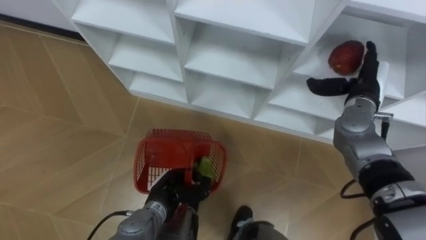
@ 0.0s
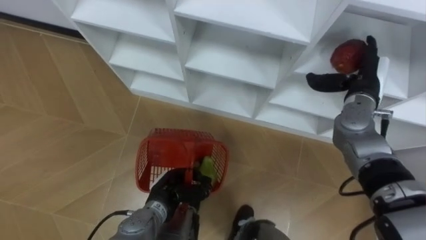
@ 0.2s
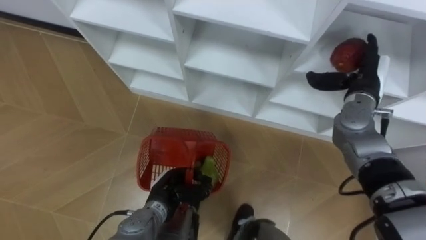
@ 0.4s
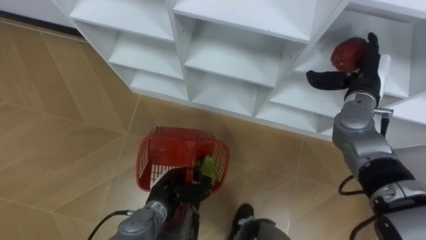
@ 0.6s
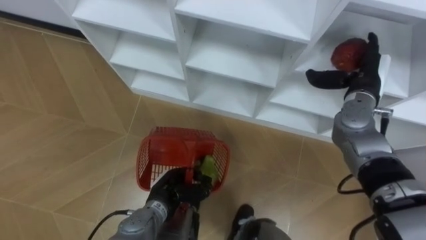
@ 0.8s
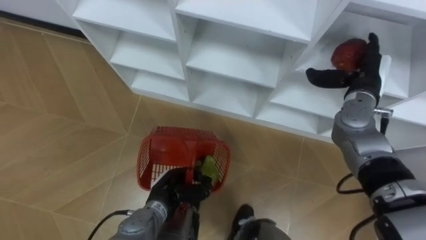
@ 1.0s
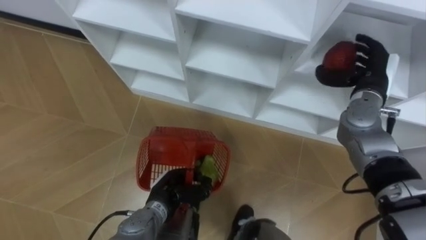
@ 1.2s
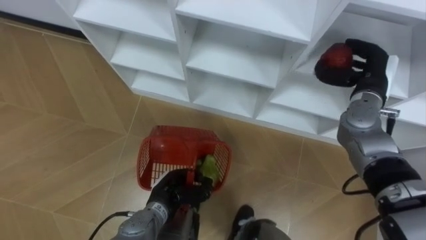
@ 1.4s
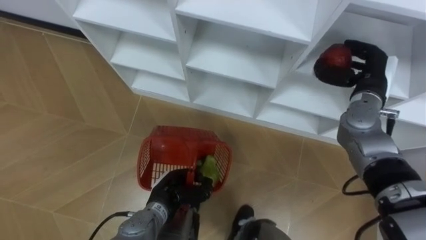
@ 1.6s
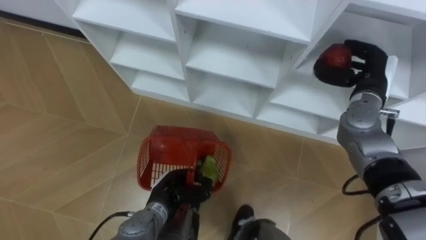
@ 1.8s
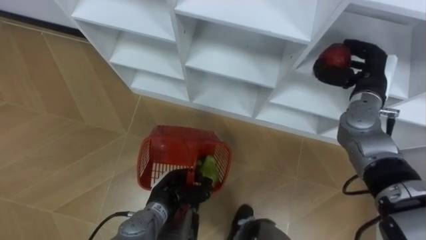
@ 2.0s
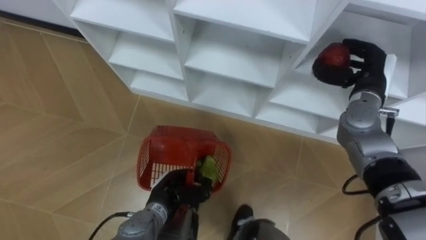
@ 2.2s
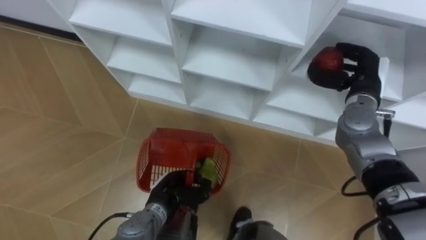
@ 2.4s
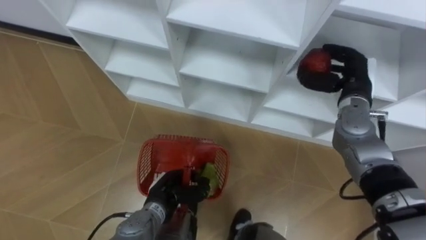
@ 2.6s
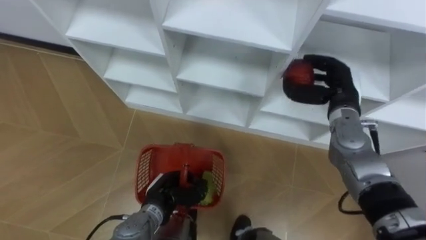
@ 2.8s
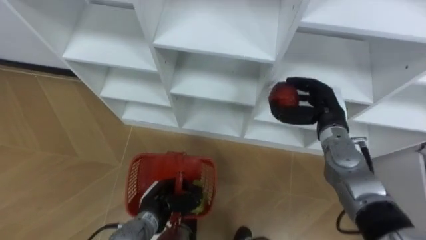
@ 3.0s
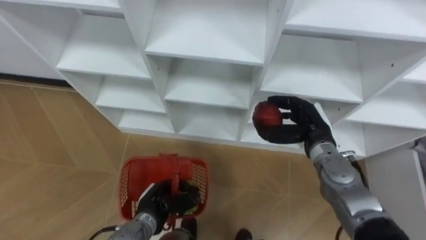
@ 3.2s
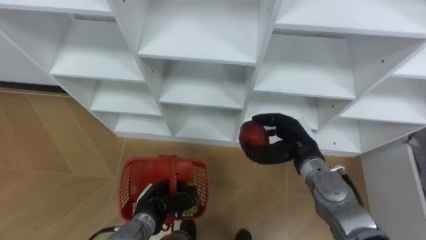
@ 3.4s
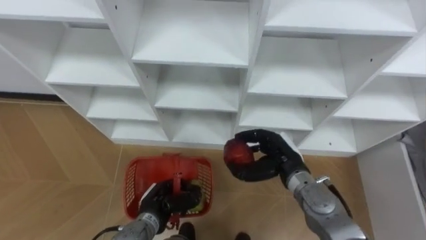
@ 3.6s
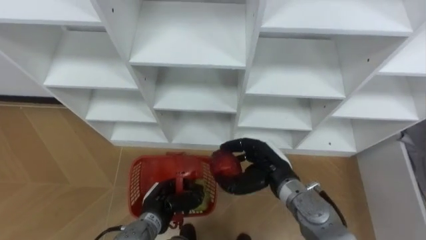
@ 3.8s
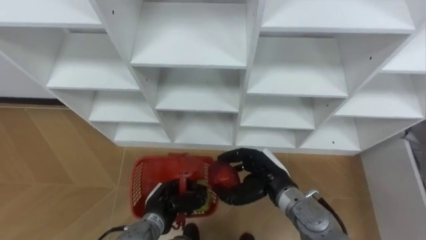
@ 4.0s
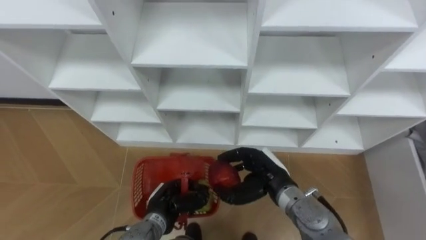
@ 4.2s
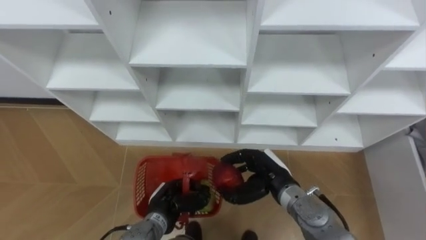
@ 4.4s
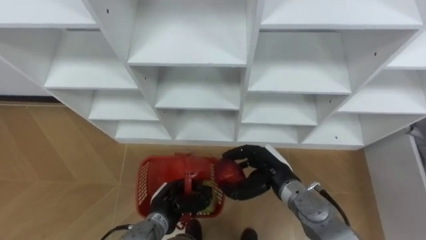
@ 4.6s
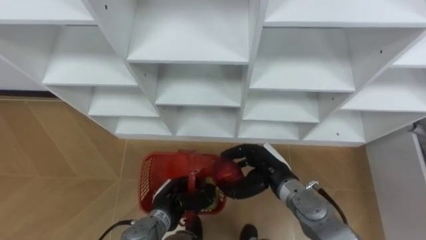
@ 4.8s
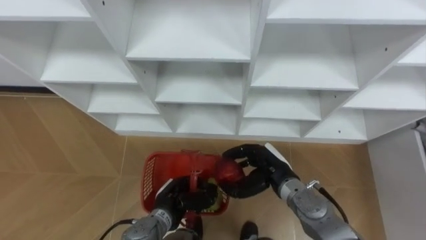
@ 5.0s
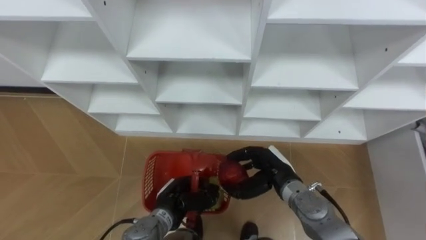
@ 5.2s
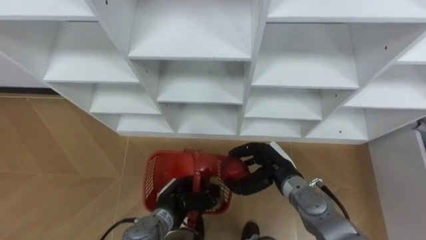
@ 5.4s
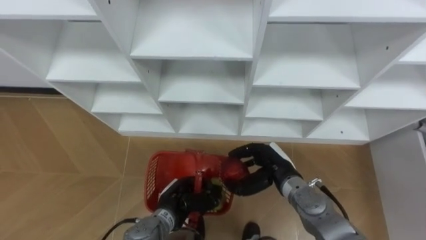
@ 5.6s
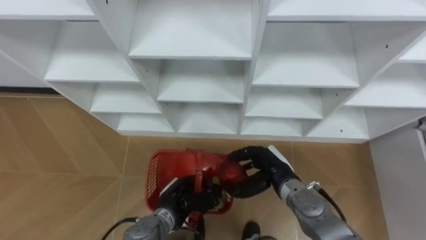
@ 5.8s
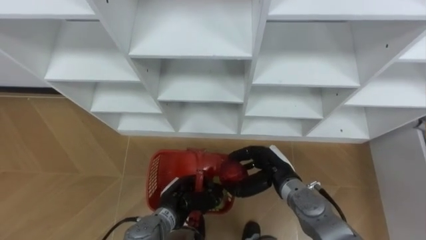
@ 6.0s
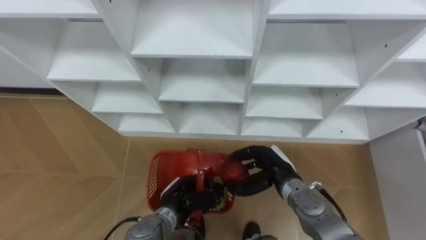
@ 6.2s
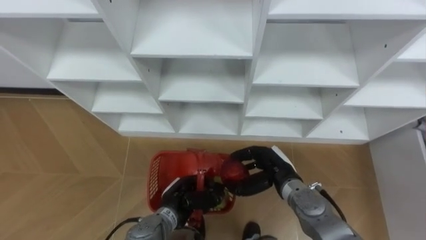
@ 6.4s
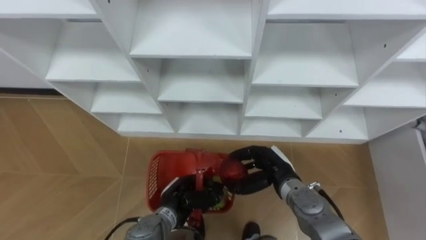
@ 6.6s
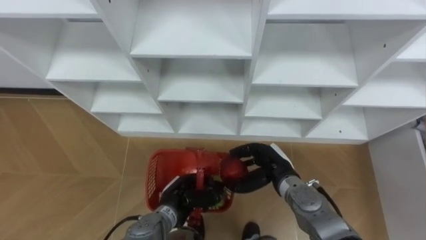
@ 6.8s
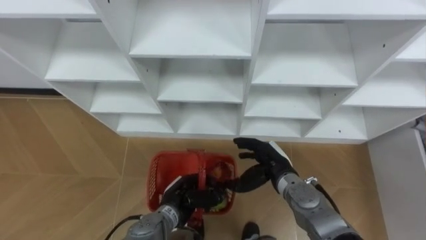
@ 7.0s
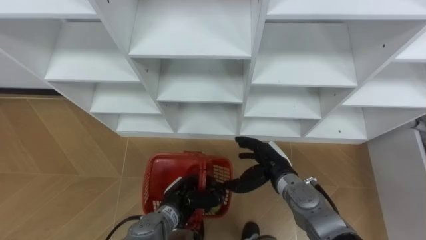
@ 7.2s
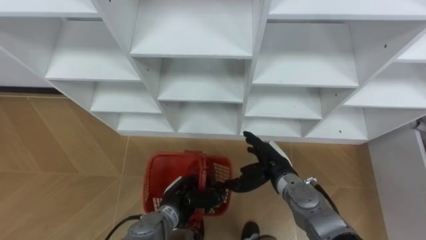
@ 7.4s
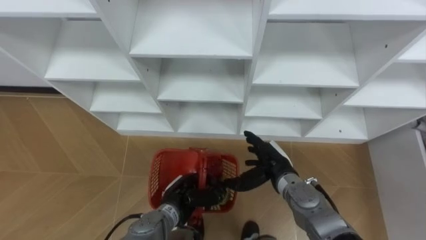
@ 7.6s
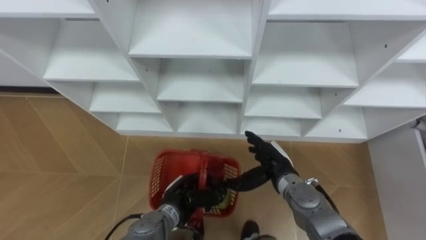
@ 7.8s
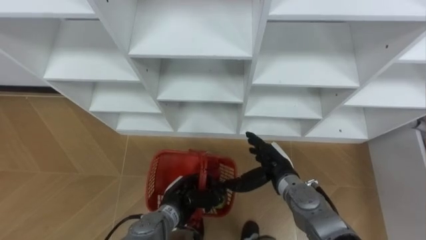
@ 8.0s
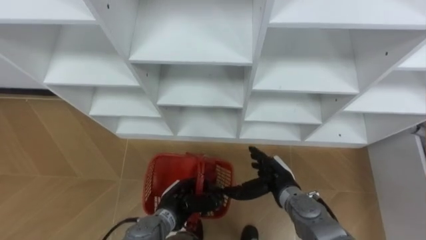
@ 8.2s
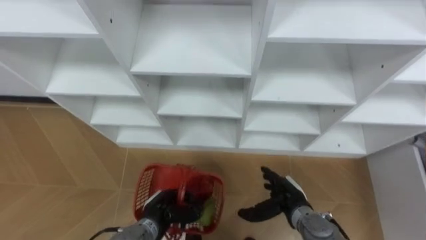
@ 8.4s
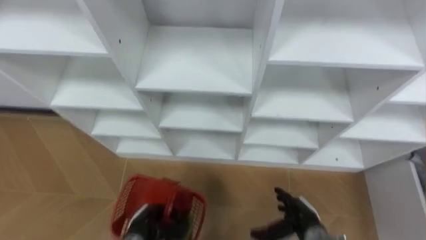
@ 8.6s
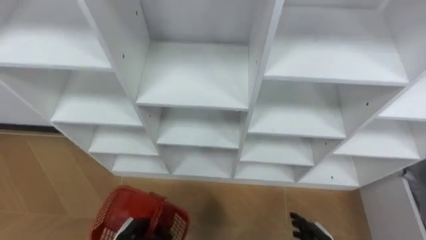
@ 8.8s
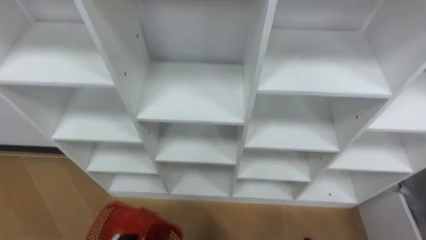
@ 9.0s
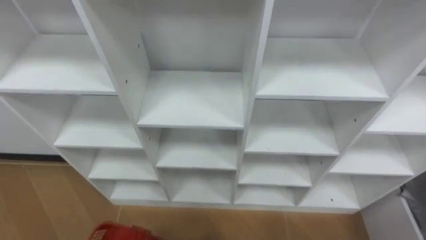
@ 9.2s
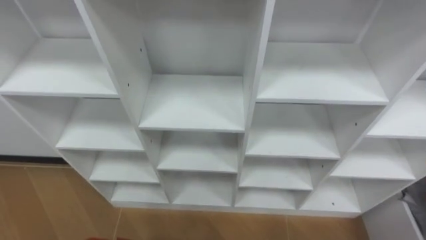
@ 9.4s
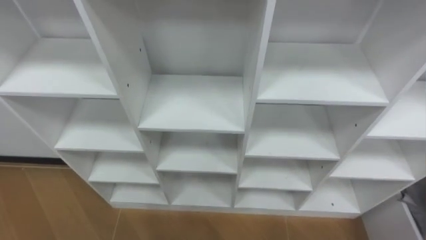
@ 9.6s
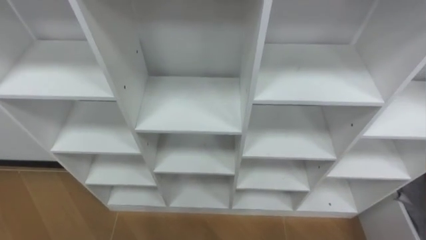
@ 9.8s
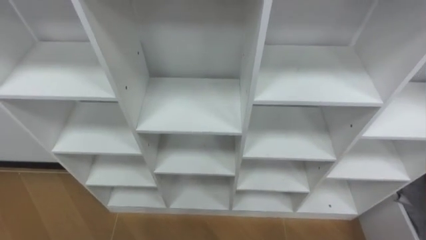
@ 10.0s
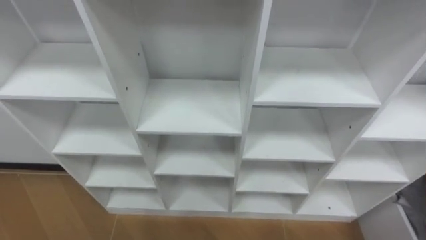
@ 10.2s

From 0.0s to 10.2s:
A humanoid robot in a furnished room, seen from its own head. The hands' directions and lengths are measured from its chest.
Task of the whole recording: Hold the basket and collect the fruits from 3 different cells of the closet into it.
From 0.0s to 1.4s: The right hand closes up.
From 1.4s to 3.0s: The right hand shifts some 10 cm to the left and downward.
From 3.0s to 4.4s: The right hand travels to the left, backward and downward by about 15 cm.
From 5.8s to 7.2s: The right hand opens its fingers.
From 7.2s to 8.8s: The left hand is displaced to the left, backward and downward by about 15 cm.

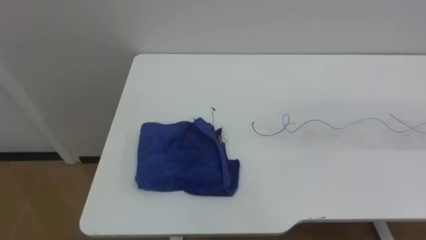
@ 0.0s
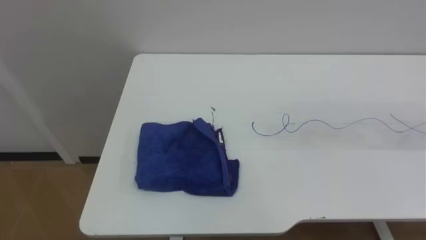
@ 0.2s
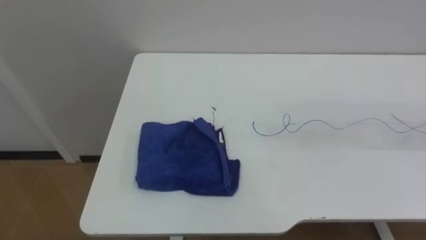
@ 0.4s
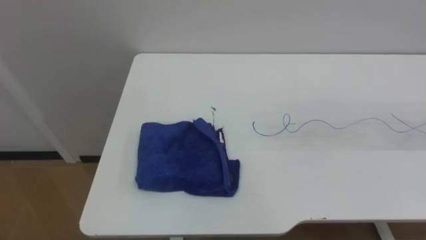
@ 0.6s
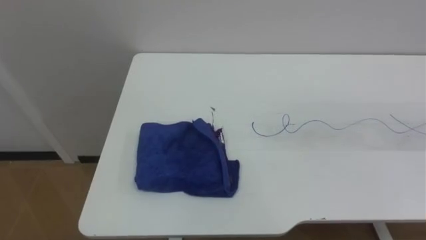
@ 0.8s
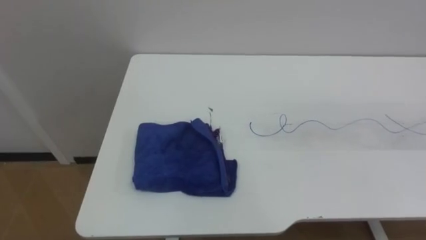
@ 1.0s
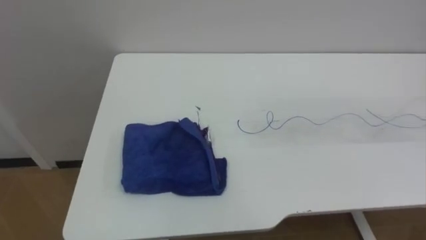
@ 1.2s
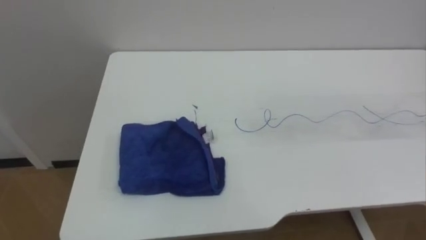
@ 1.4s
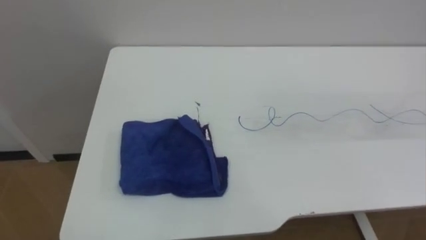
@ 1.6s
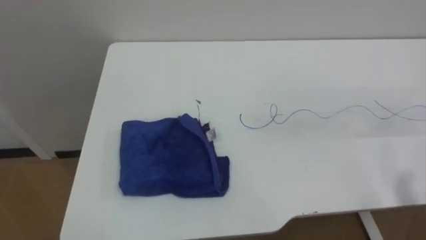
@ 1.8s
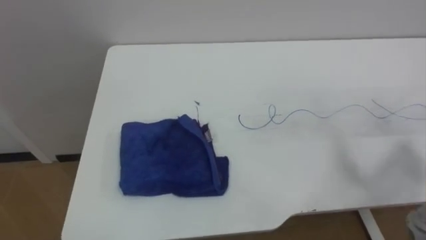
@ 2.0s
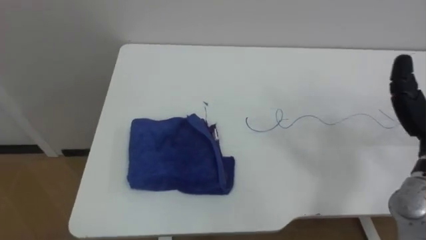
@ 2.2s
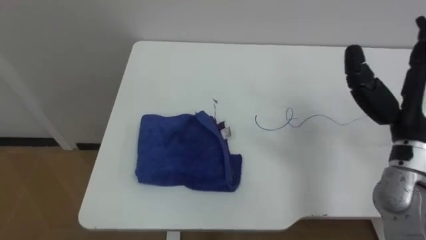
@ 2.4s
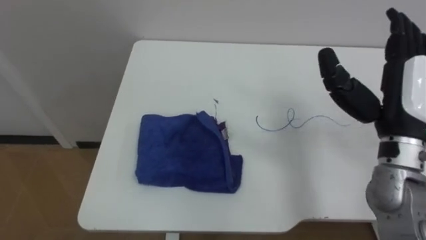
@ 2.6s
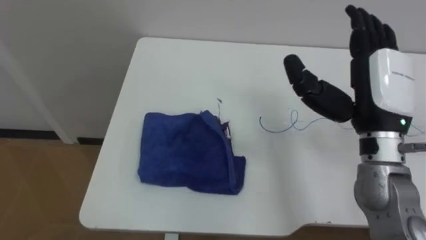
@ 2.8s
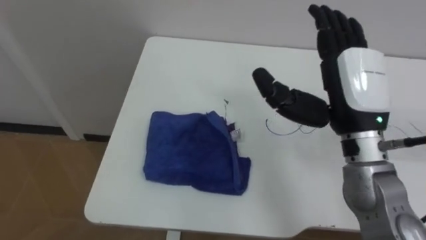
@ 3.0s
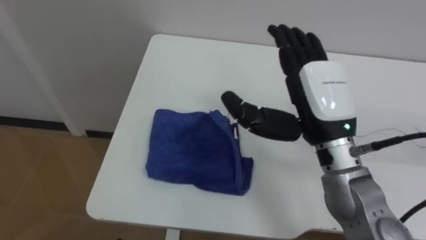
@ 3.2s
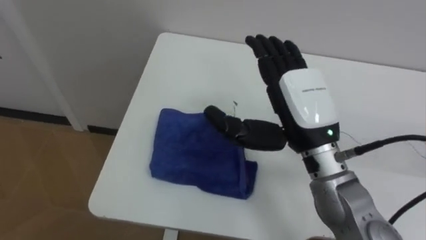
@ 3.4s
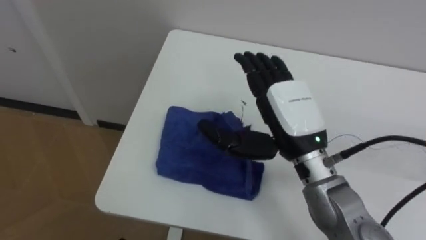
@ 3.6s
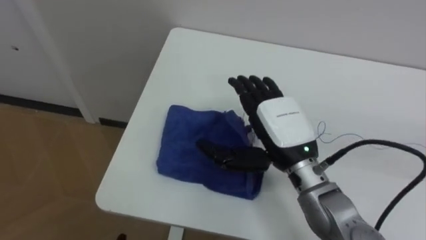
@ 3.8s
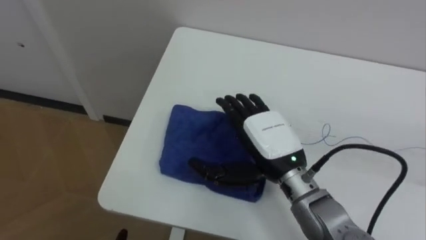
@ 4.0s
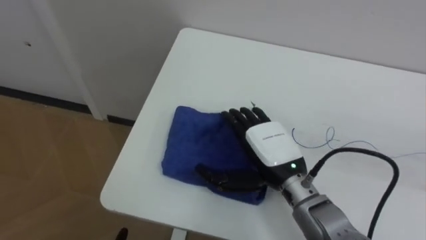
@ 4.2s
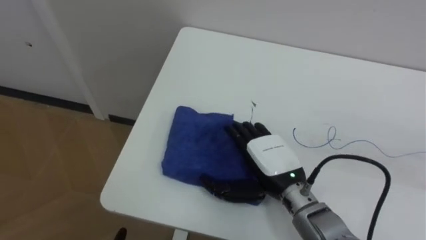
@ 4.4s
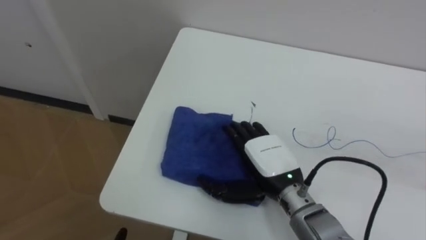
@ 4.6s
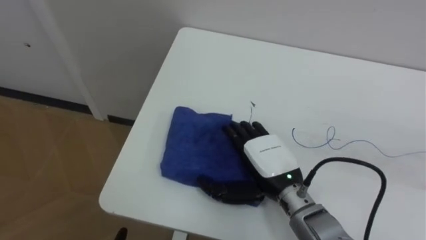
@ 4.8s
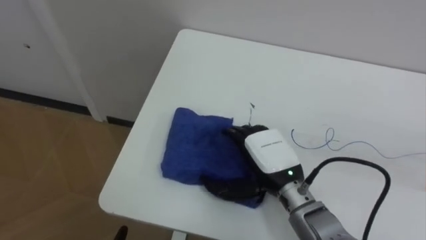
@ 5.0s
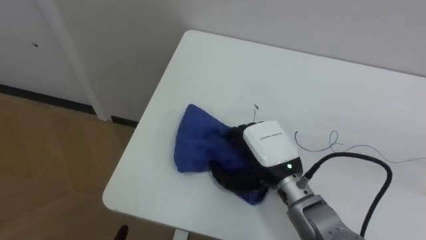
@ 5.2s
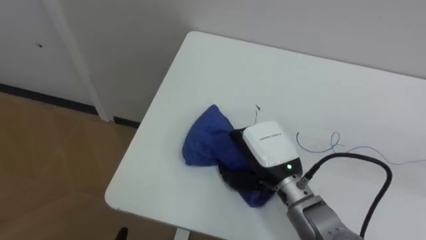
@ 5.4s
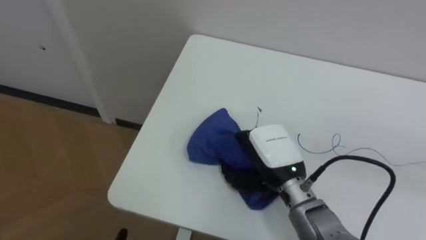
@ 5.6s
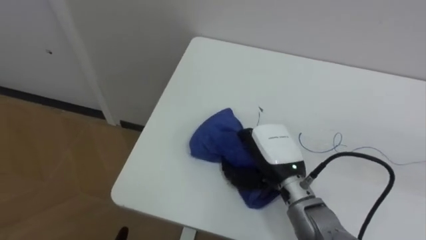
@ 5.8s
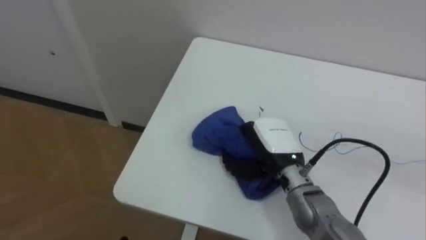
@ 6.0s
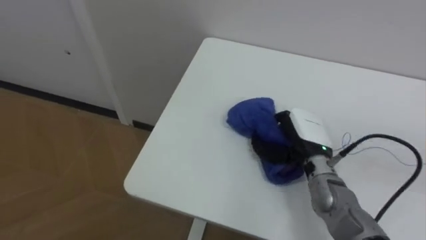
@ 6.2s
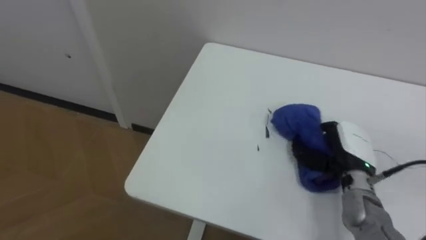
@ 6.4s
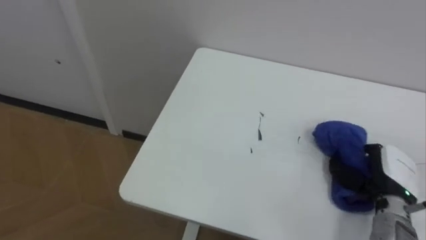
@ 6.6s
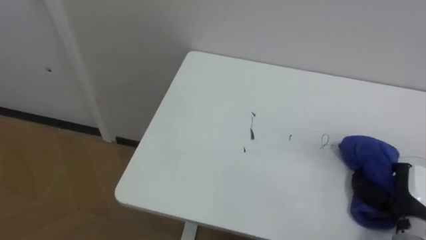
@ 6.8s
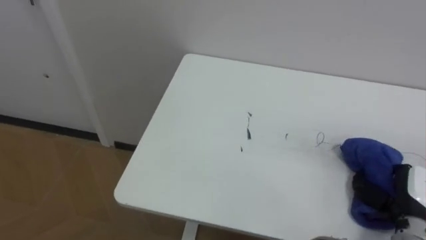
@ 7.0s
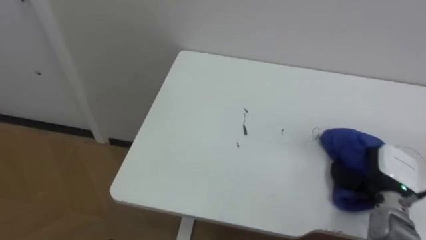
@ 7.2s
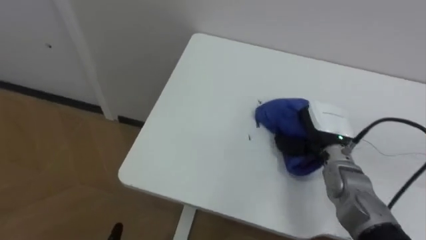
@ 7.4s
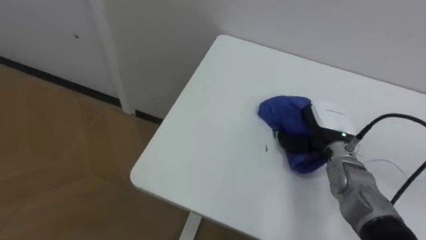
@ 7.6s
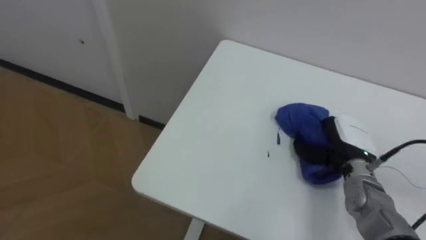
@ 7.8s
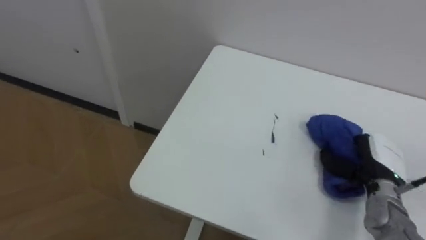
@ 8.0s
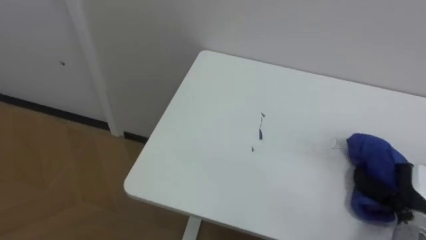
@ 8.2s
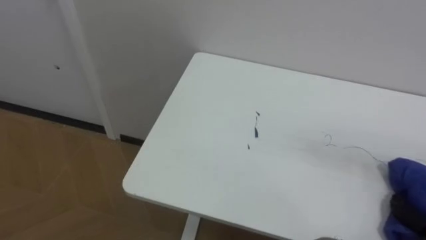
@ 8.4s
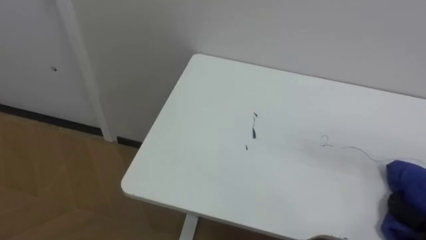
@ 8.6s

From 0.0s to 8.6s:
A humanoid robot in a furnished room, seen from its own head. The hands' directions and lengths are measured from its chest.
Task of the whole recording: Wipe the blue pen marks off the table with the rag.
From 2.8s to 4.4s: The right hand shifts approximately 20 cm downward and to the left.
From 4.4s to 5.8s: The right hand closes its fingers.
From 5.8s to 7.2s: The right hand is displaced to the right by some 20 cm.
